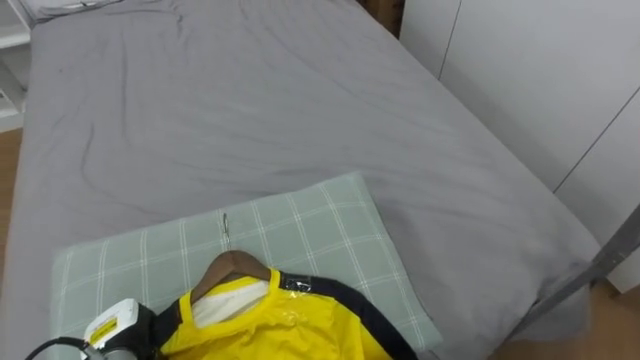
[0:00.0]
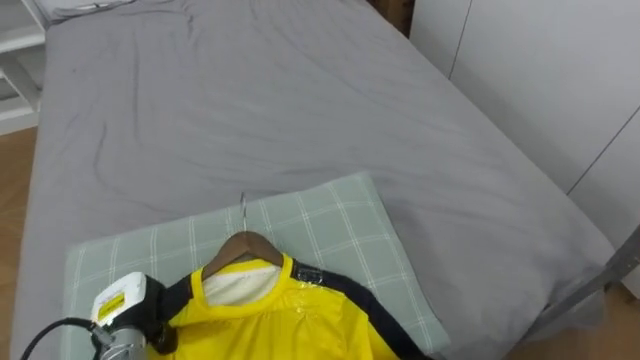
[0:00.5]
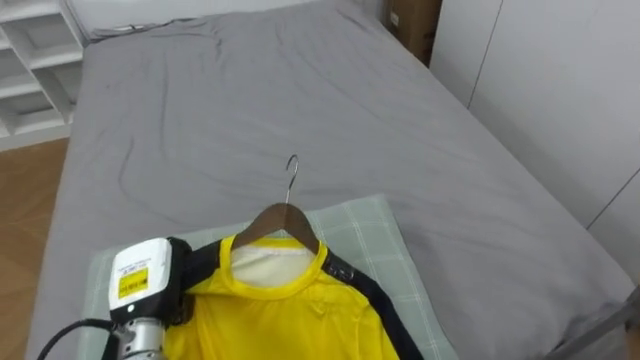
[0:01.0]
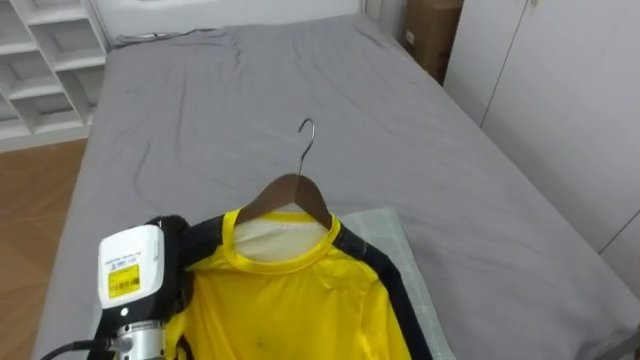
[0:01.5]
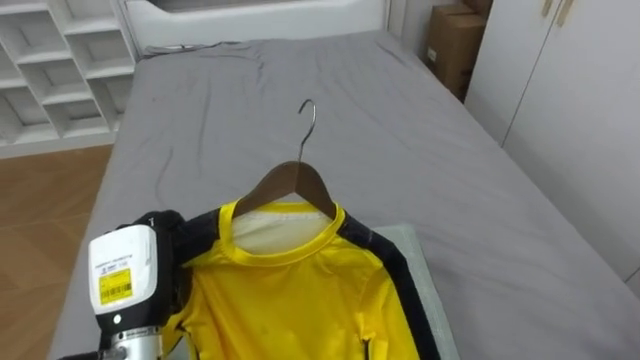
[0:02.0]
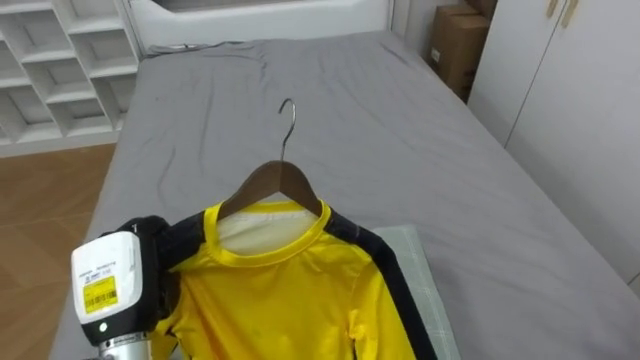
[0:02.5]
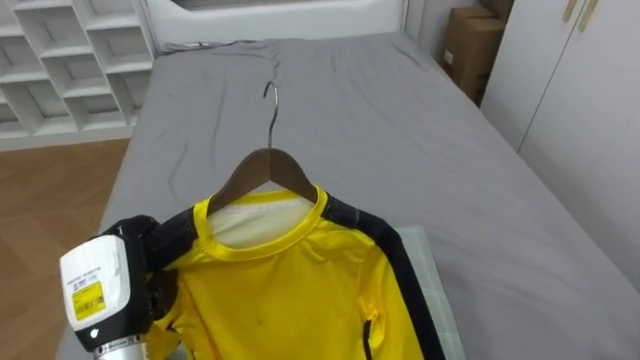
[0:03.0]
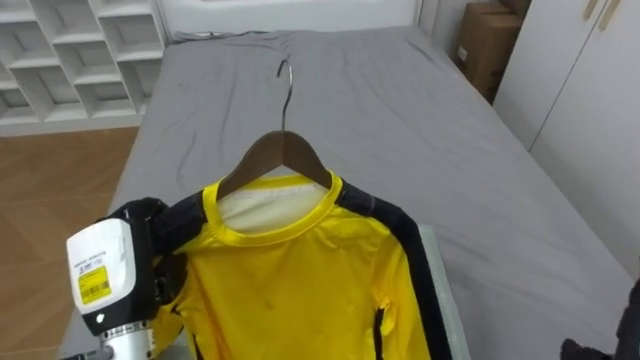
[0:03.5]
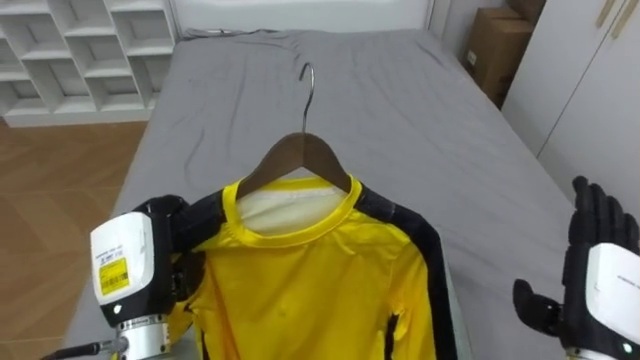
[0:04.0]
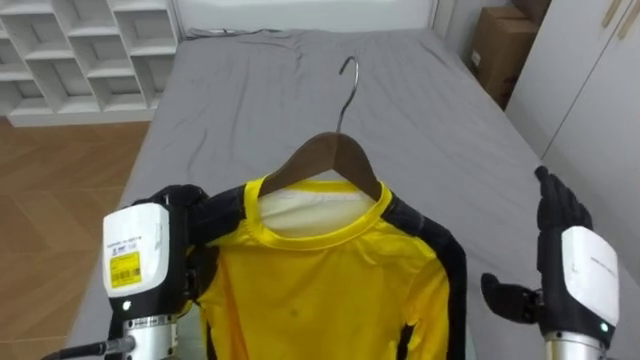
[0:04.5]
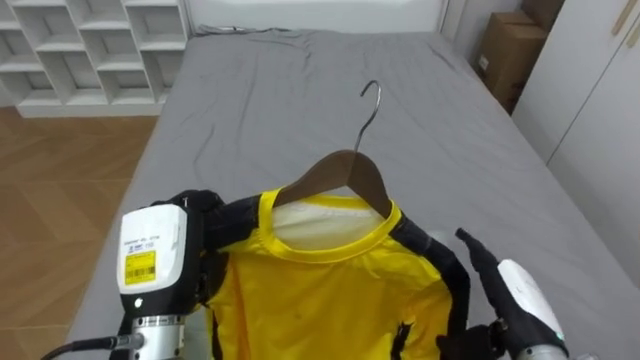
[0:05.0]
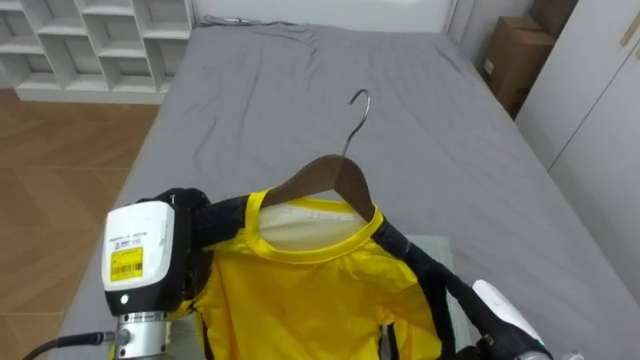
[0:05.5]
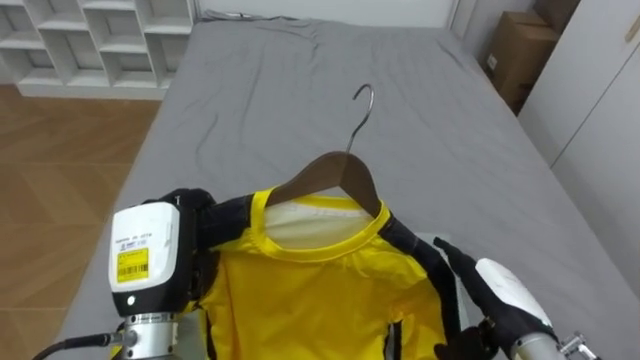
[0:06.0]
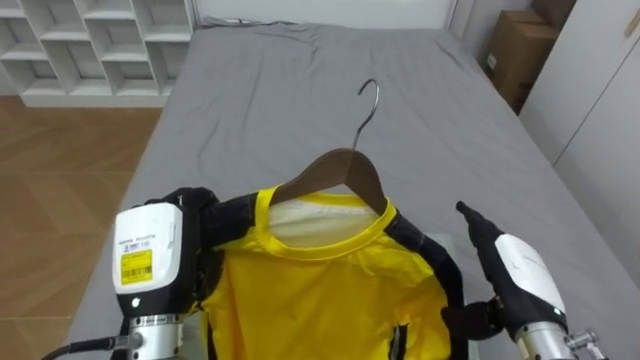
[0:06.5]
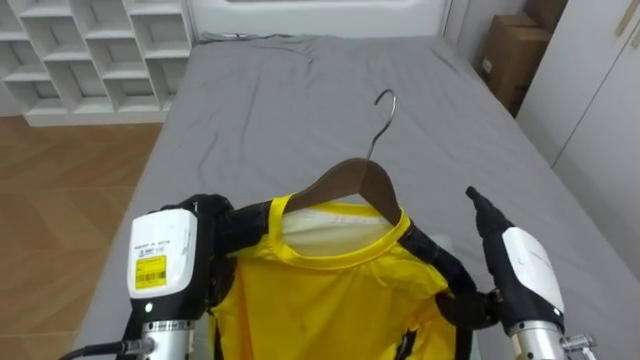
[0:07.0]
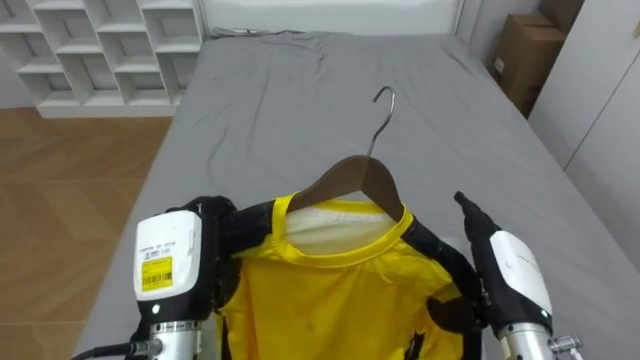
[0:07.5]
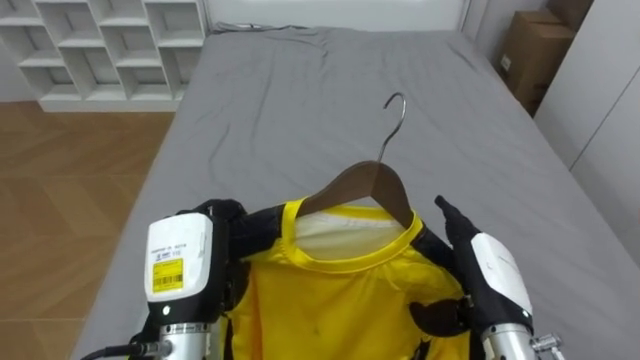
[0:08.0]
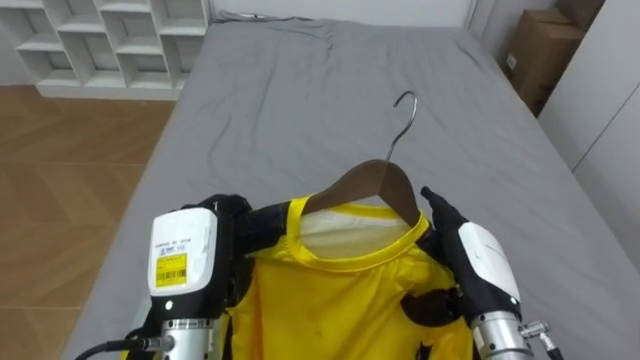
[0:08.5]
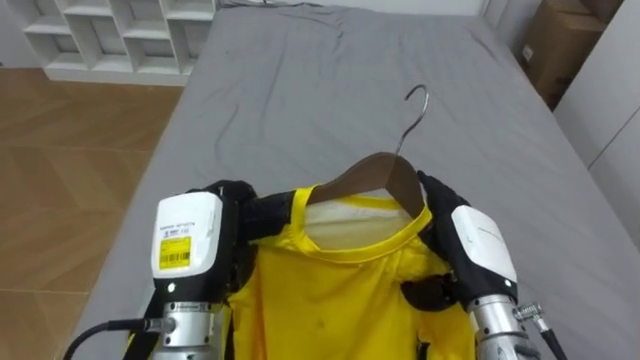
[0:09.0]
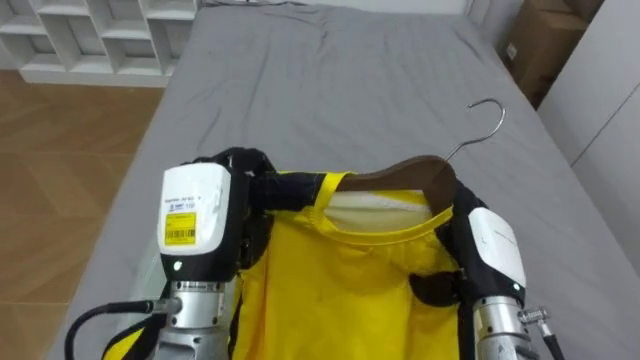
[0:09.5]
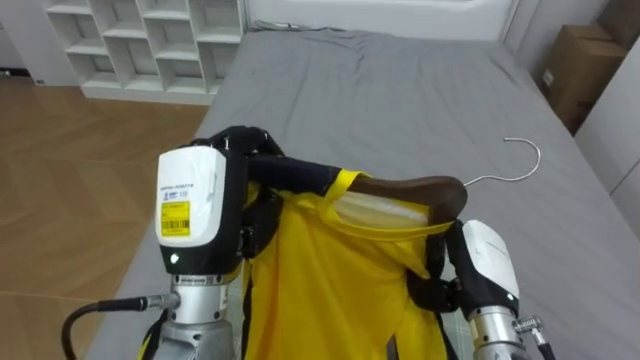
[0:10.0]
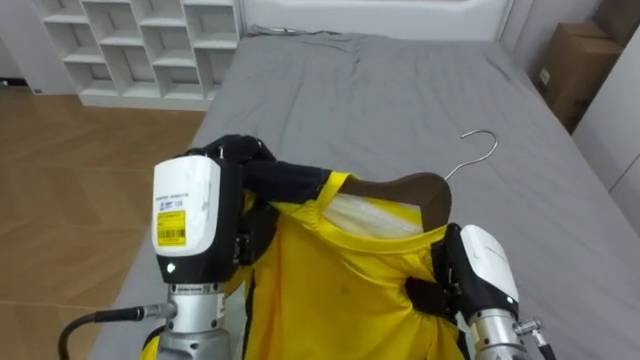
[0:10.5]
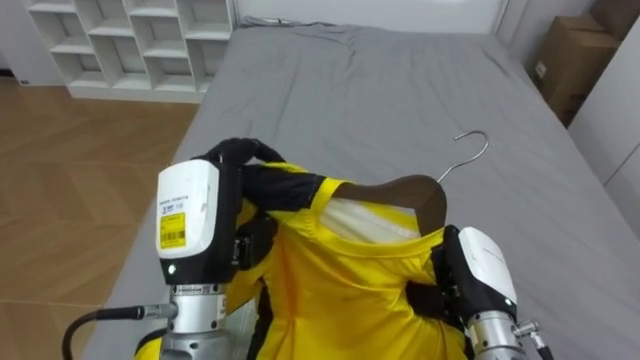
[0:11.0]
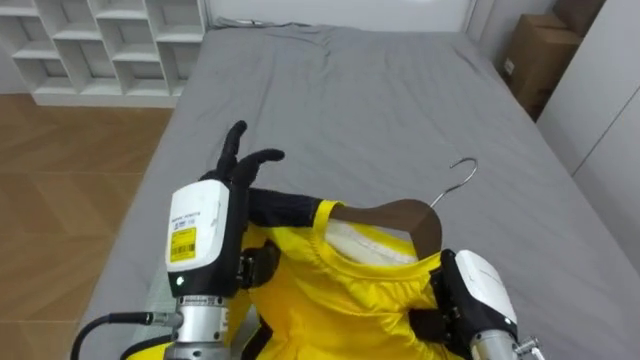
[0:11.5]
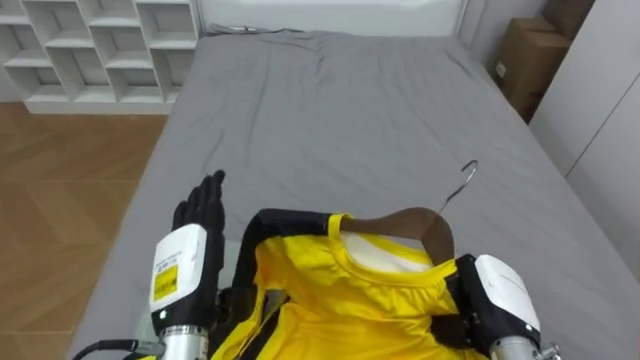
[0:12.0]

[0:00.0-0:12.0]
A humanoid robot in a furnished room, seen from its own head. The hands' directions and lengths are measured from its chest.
Task of the whole recording: Pick up the yellow shirt on the bed and hang it on the clothes rack on the right.
0:00.0 to 0:02.0: The left hand goes some 15 cm upward.
0:04.0 to 0:06.0: The right hand is displaced to the left and downward by approximately 10 cm.
0:08.0 to 0:10.0: The left hand is displaced upward by approximately 10 cm.
0:10.0 to 0:12.0: The right hand closes its fingers. The left hand moves downward, about 10 cm, and opens its fingers.

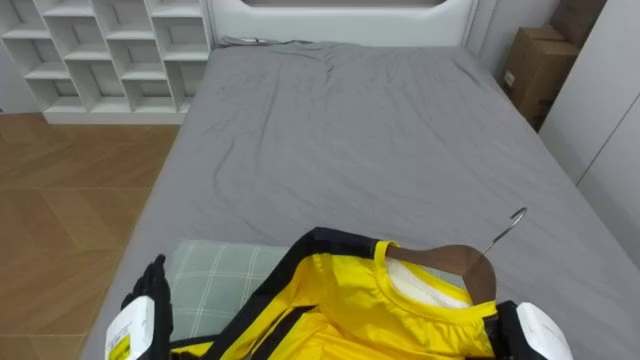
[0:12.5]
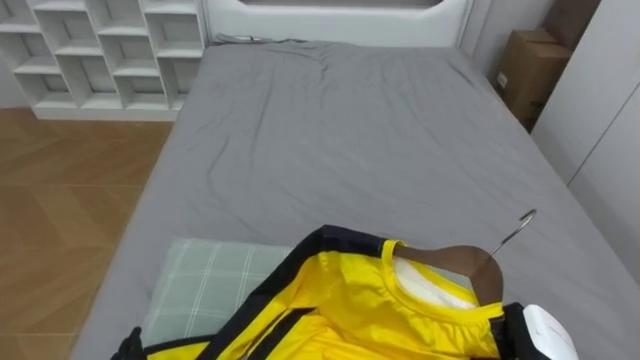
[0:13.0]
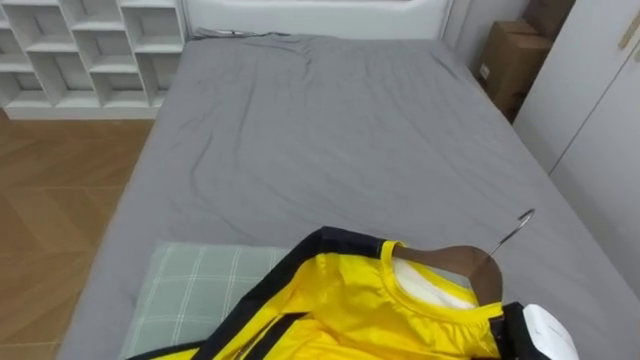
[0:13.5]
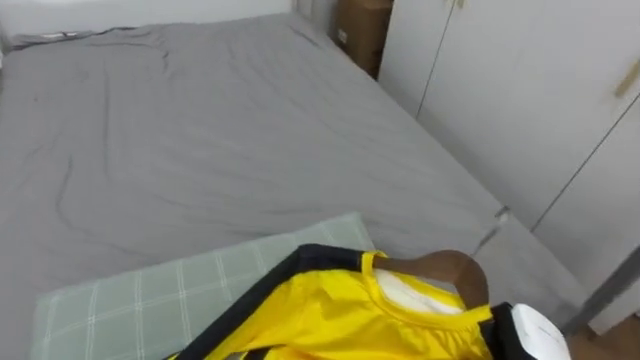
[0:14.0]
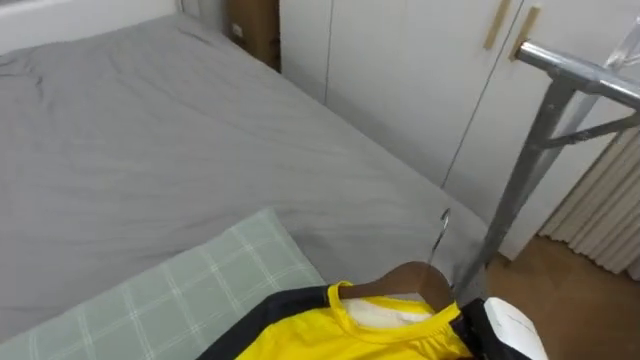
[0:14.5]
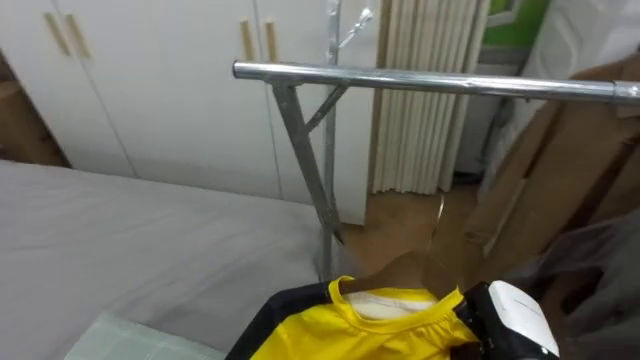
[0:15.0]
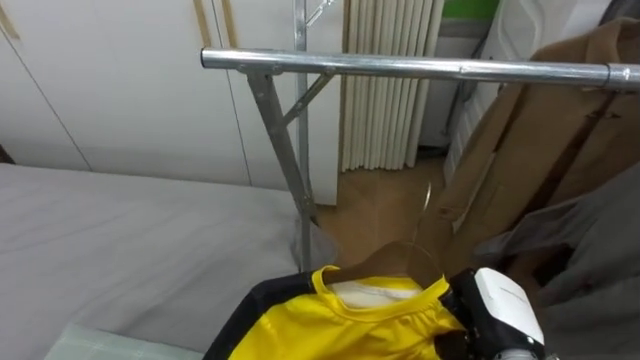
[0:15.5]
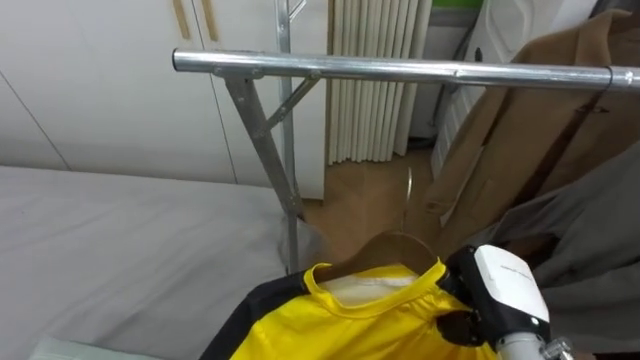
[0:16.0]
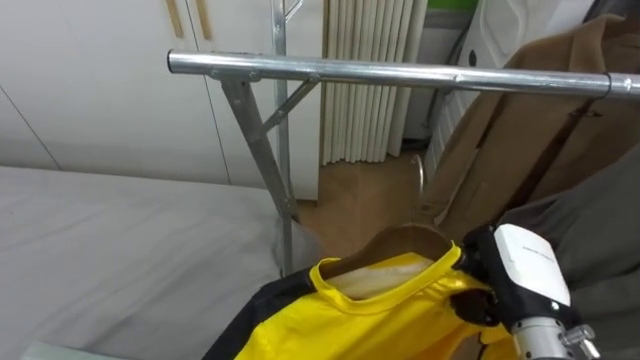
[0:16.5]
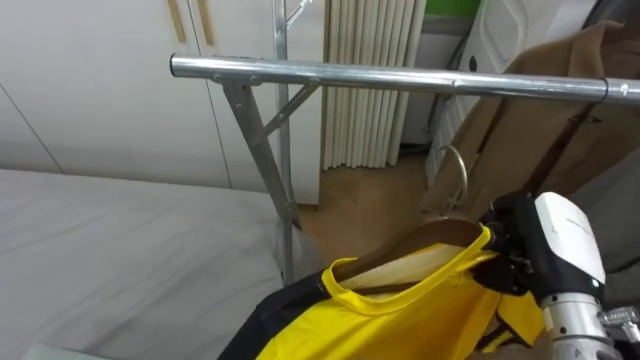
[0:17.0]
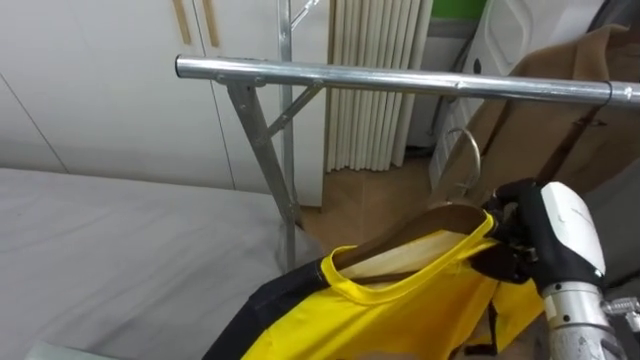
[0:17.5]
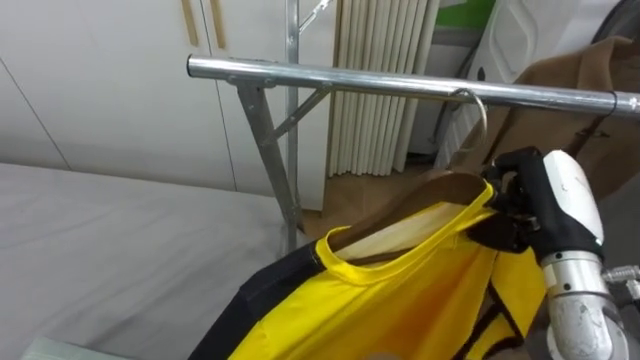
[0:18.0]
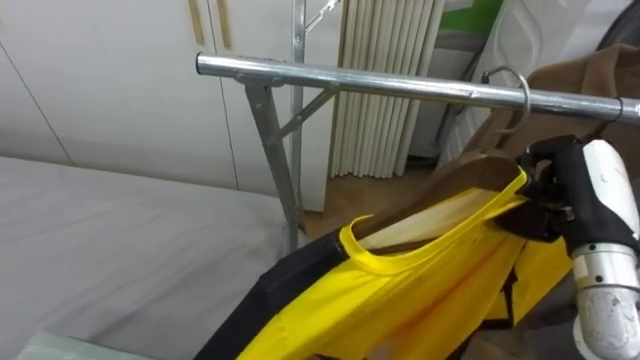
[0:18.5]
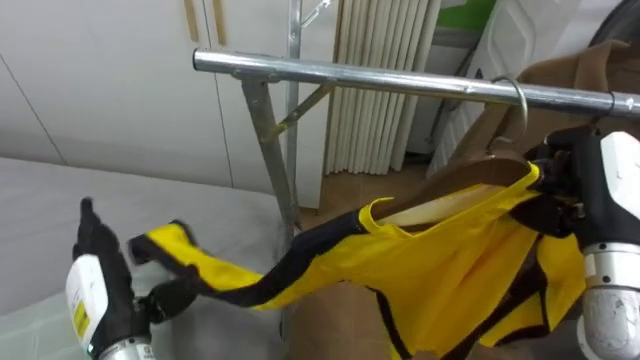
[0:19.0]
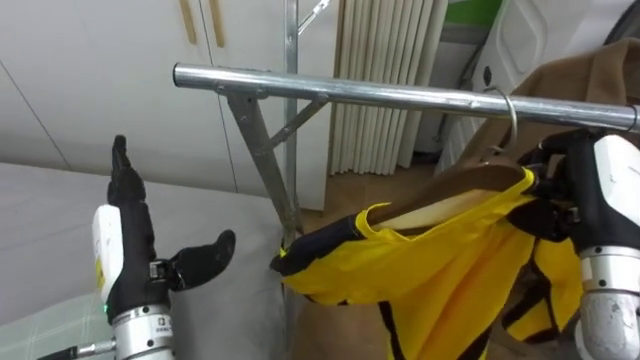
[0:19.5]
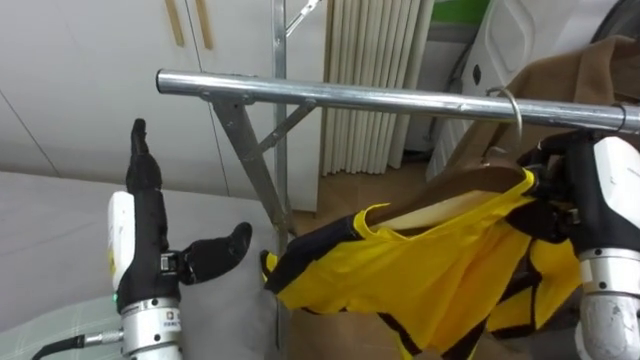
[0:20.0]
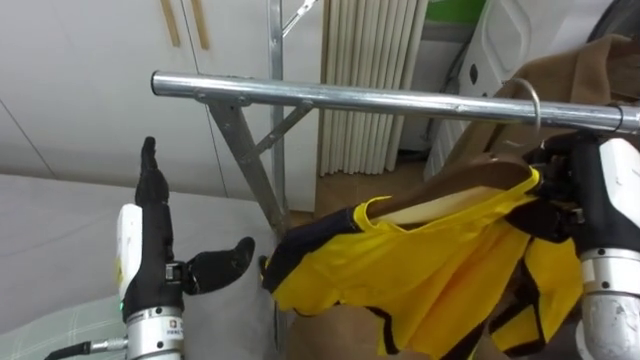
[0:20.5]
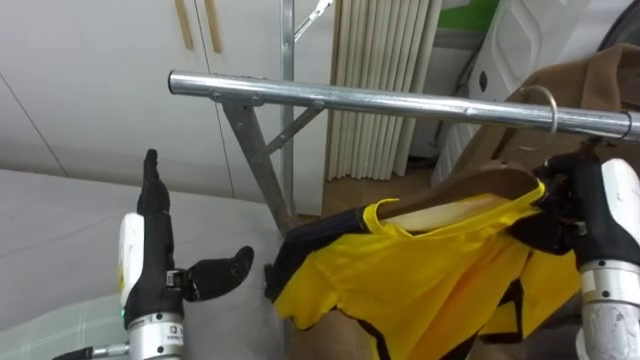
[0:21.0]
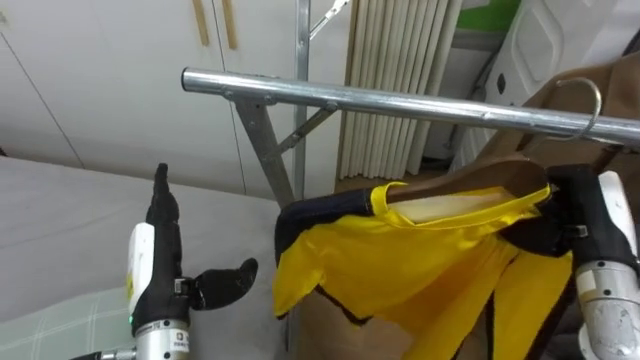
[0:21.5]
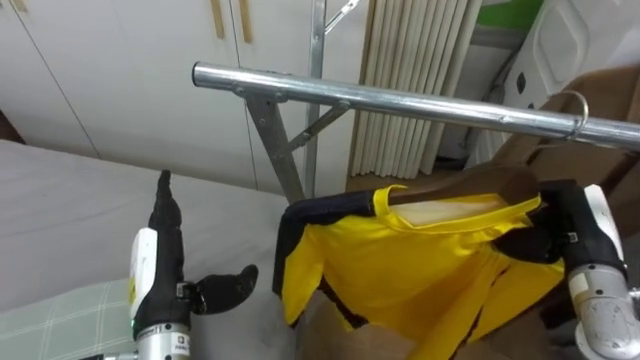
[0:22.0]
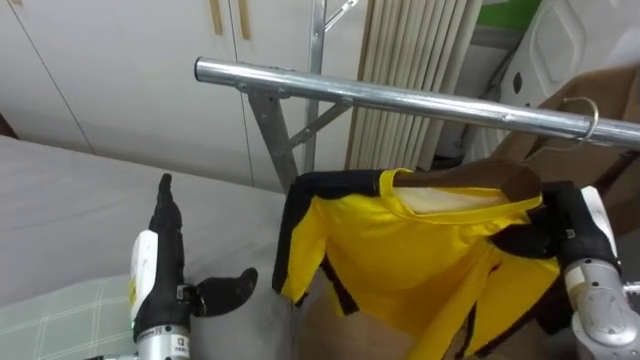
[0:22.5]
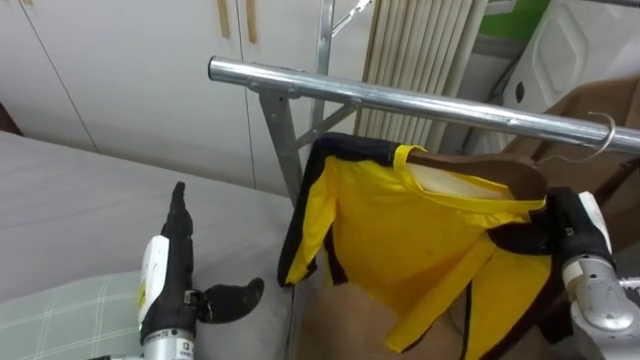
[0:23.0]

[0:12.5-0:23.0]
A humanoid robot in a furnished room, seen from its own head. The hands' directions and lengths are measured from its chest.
Task of the whole recording: Pick up the yellow shirt on the bed and hang it on the clothes rack on the right.
0:12.5 to 0:14.5: The robot faces approximately 40 degrees further to its right.
0:14.5 to 0:16.5: The robot turns to its right by some 45 degrees. The right hand moves upward, approximately 10 cm.
0:16.5 to 0:19.0: The right hand shifts roughly 10 cm upward and to the right.
0:19.0 to 0:21.0: The left hand heads upward and to the right, covering roughly 10 cm.
0:21.0 to 0:23.0: The right hand goes some 10 cm downward.
